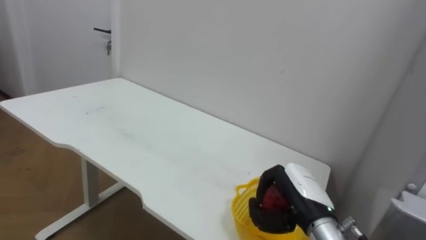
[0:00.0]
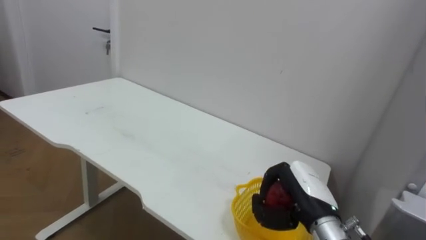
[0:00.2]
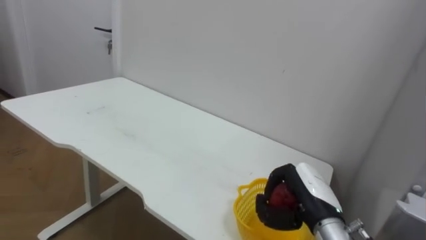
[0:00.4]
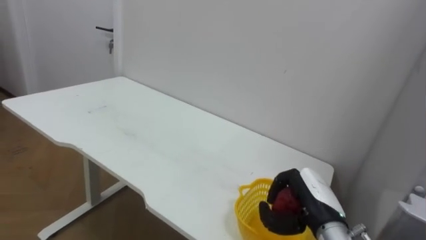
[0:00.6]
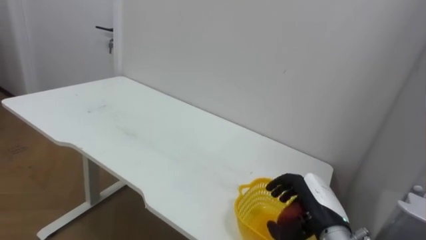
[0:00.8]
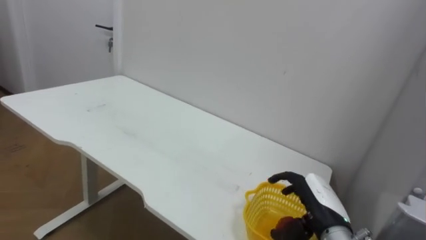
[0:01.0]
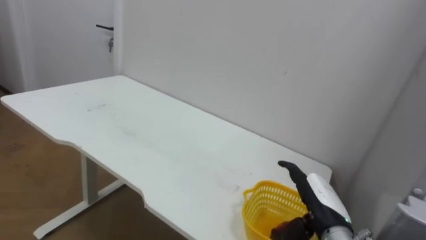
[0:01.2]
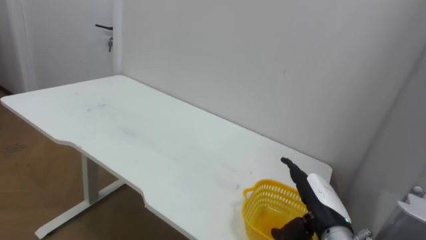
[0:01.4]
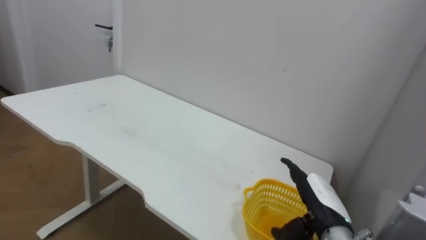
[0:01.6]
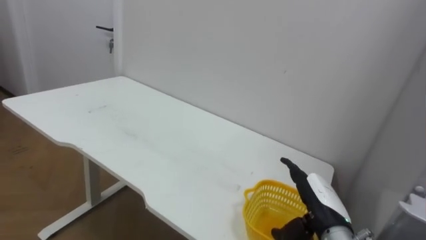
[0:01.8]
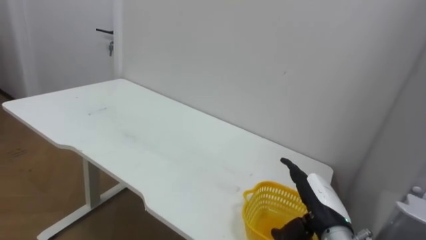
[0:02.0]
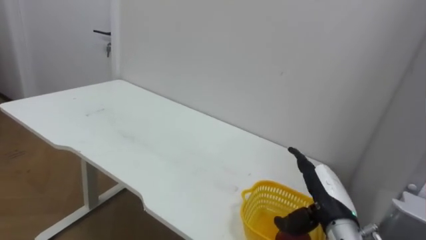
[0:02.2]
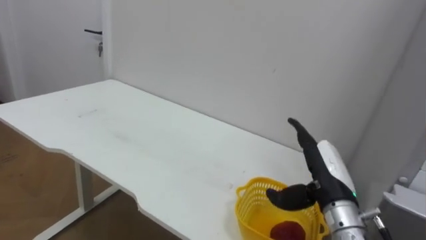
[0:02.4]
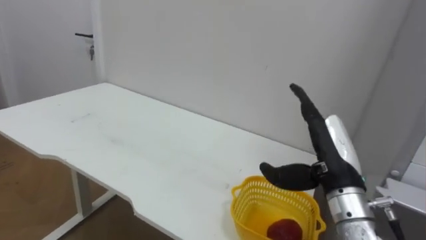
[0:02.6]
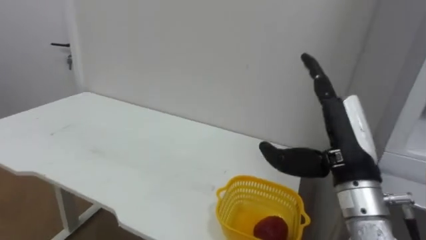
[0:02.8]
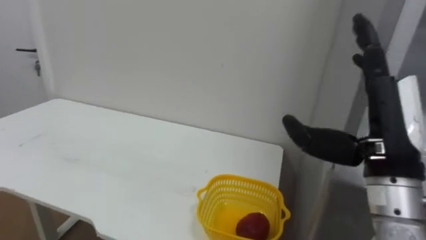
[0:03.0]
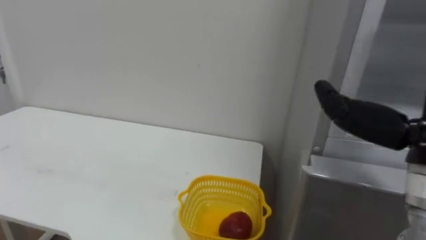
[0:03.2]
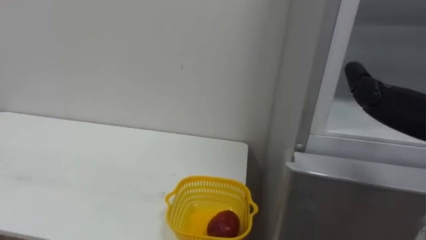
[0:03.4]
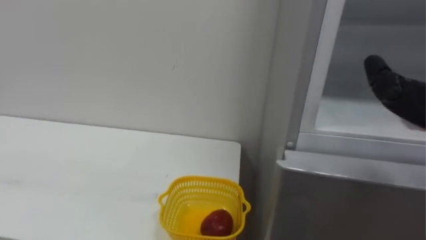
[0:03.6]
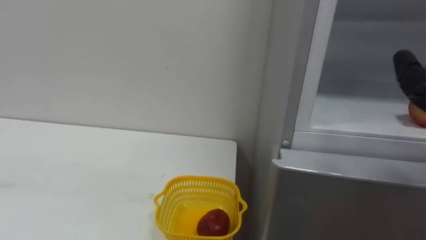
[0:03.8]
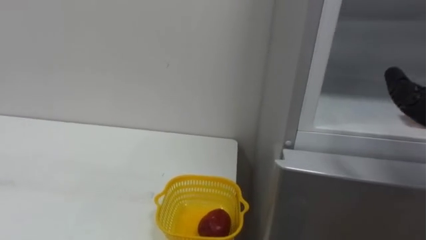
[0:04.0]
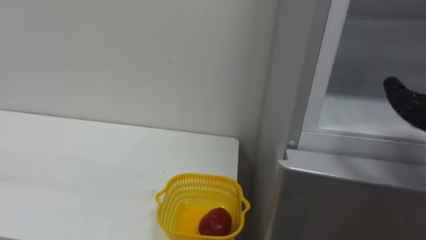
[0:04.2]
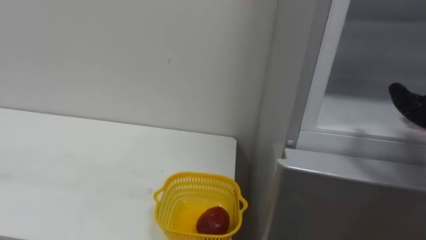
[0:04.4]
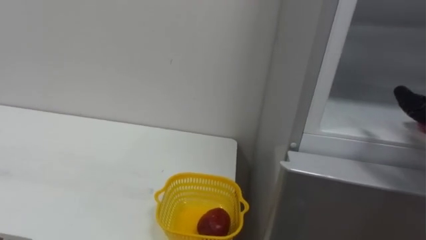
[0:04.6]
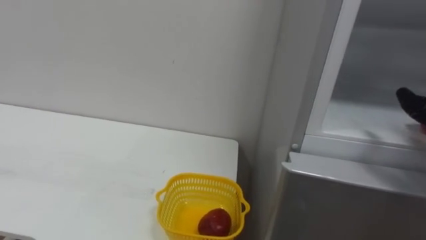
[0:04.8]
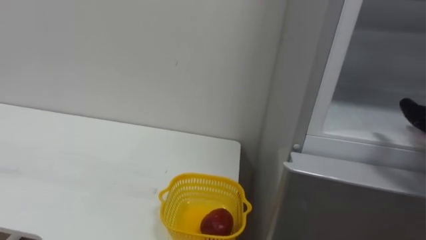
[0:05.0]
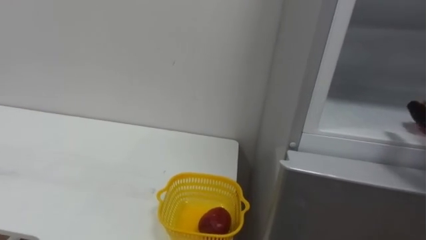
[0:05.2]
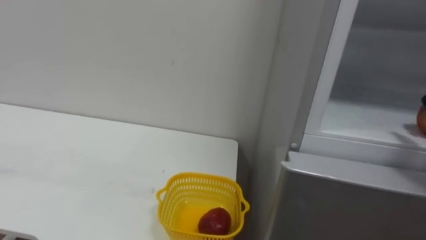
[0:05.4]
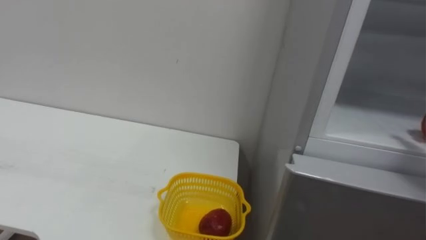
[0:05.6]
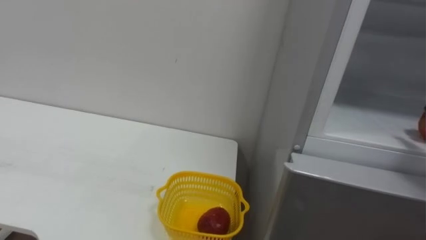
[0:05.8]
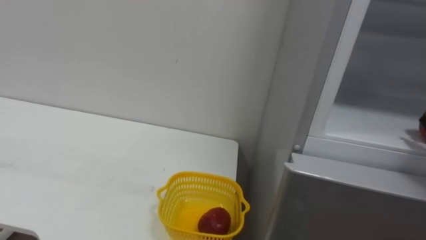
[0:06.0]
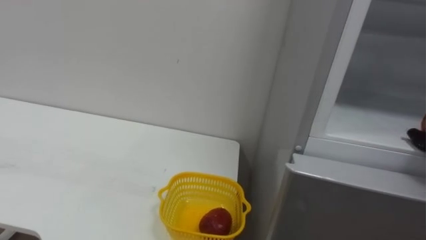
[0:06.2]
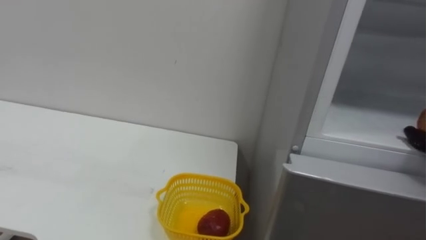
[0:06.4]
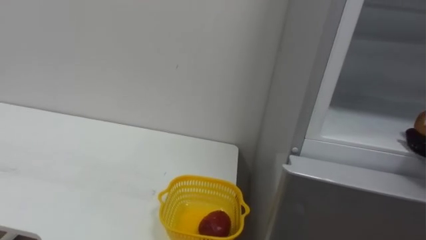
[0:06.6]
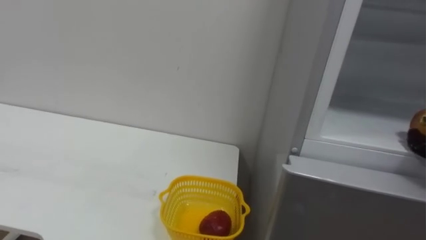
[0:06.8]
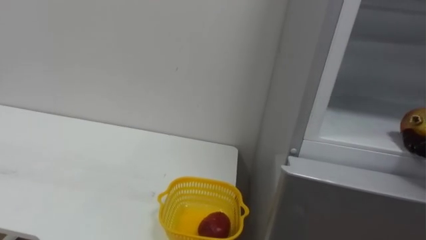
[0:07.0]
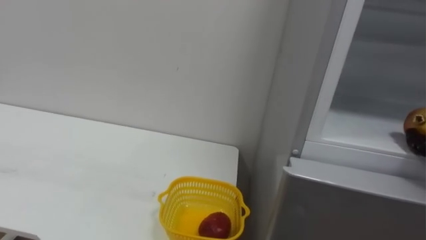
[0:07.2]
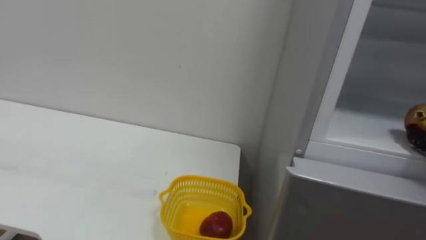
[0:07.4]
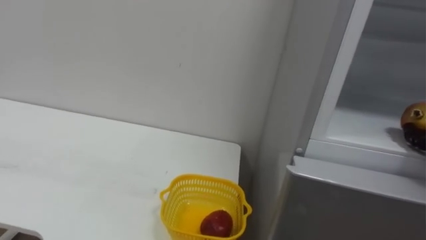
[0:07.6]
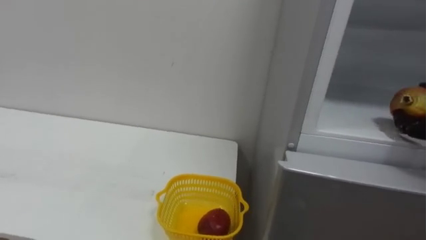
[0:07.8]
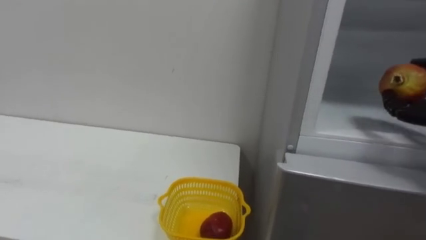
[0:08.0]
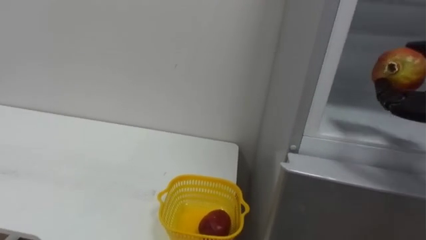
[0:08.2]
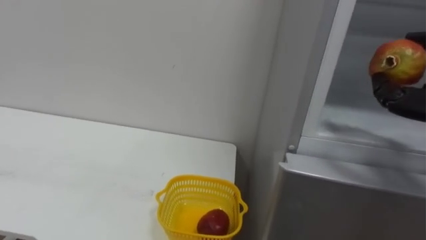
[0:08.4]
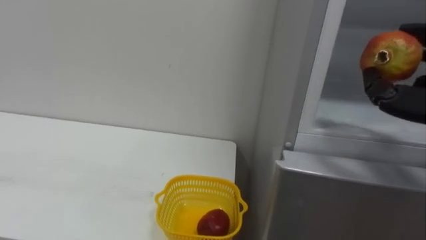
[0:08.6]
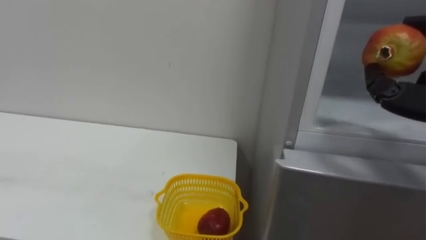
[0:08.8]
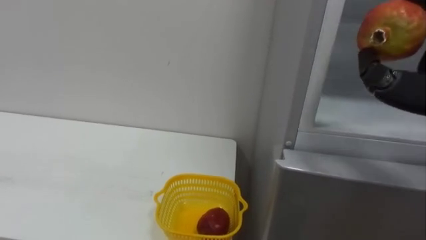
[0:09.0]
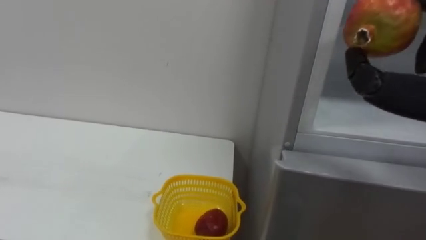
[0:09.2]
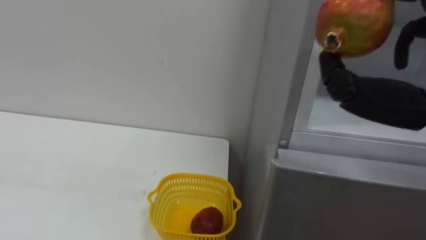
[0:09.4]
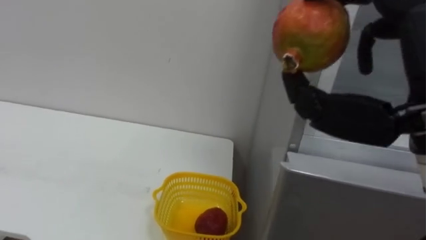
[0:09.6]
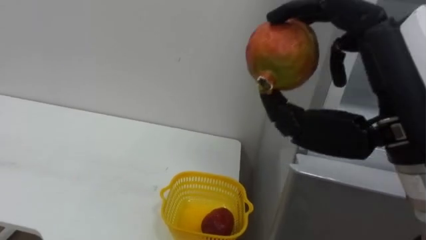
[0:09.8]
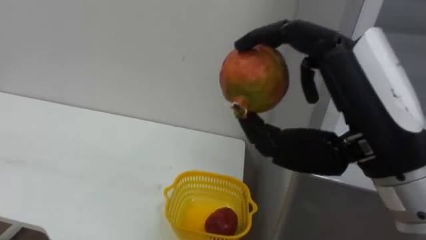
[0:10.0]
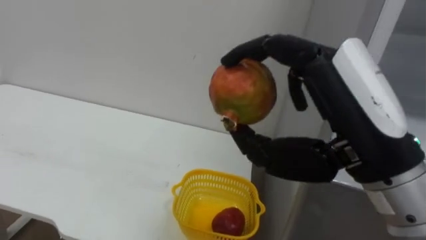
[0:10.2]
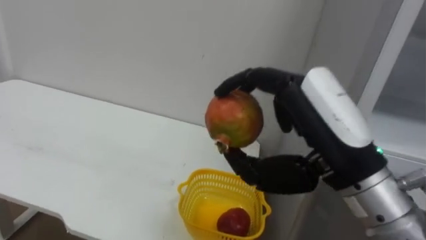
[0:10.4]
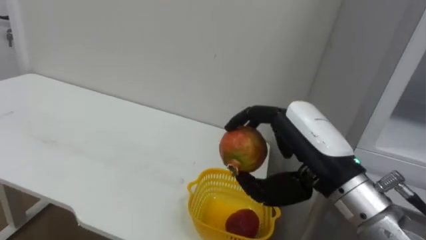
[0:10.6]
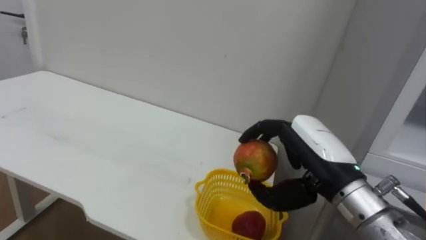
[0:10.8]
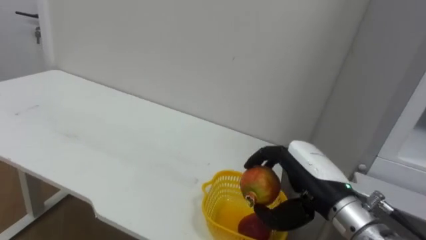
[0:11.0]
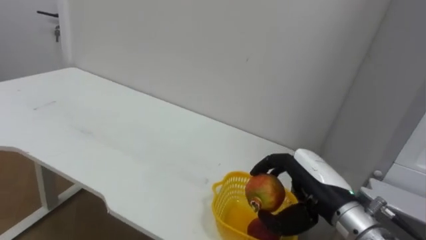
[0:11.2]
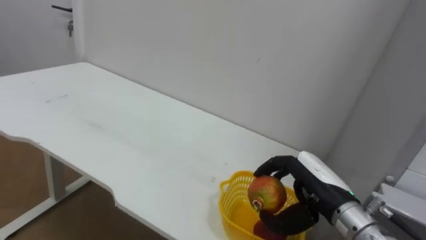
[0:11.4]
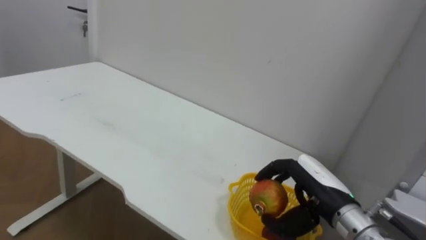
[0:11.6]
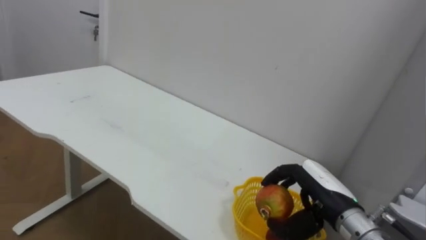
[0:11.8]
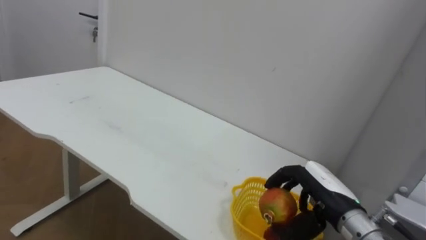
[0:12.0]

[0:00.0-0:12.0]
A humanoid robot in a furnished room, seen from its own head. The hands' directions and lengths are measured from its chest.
Task of the whole recording: Open the refrigerator door, take out the apple and the pomegranate, place them in the fruit basket on the left, and close the refrigerator door.
0:00.0 to 0:01.6: The right hand opens up.
0:01.6 to 0:03.0: The right hand heads upward, covering some 20 cm.
0:10.4 to 0:12.0: The right hand goes about 20 cm downward and forward.

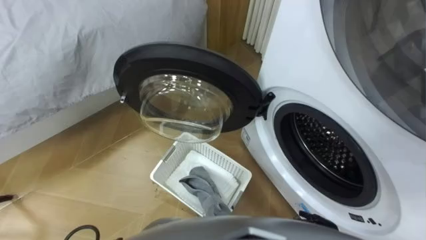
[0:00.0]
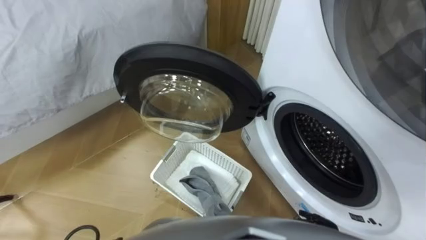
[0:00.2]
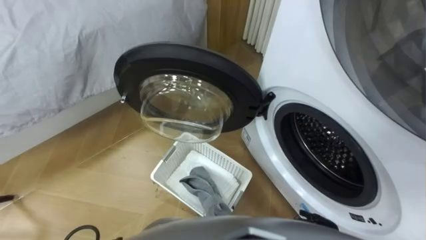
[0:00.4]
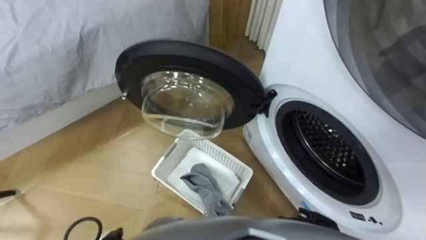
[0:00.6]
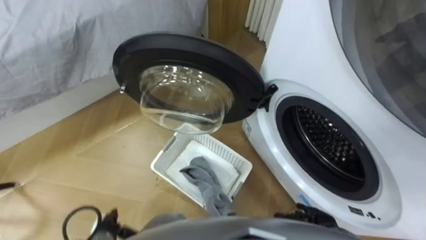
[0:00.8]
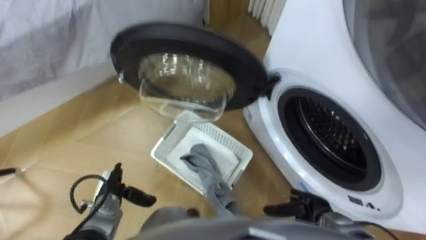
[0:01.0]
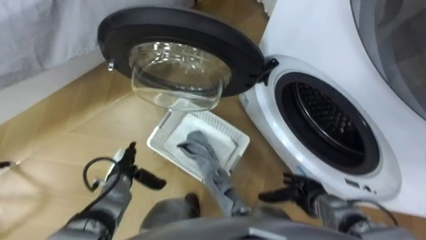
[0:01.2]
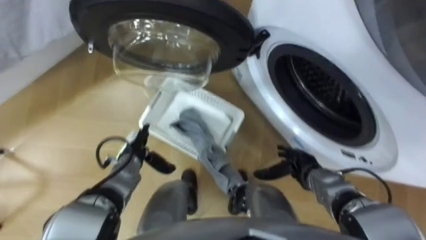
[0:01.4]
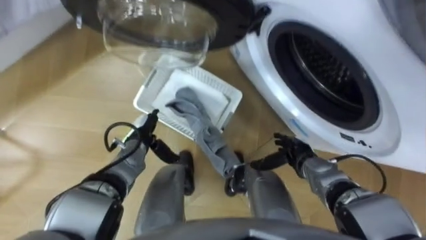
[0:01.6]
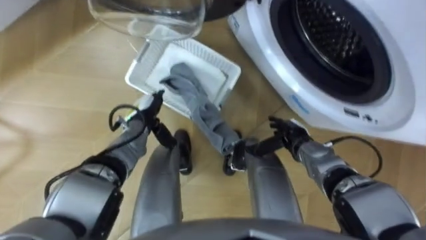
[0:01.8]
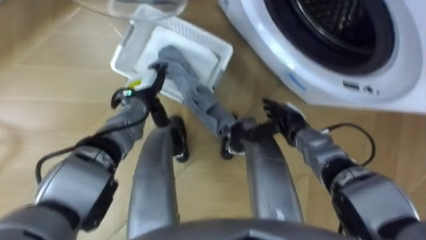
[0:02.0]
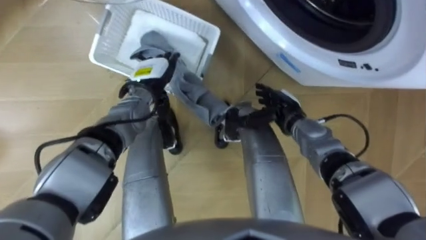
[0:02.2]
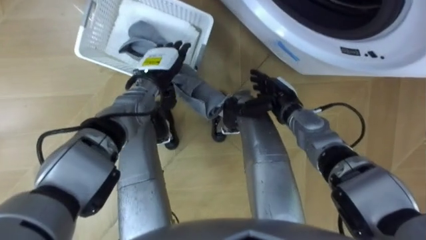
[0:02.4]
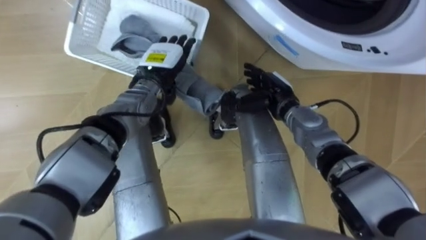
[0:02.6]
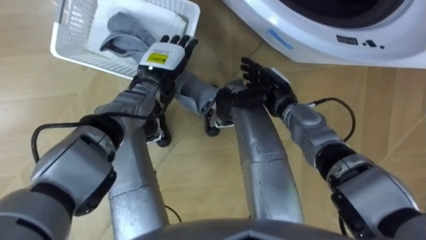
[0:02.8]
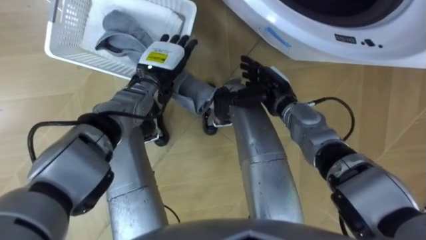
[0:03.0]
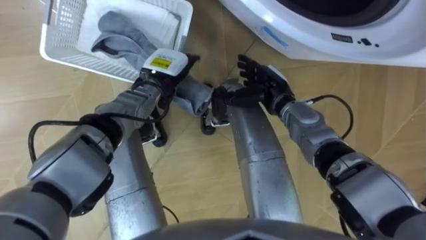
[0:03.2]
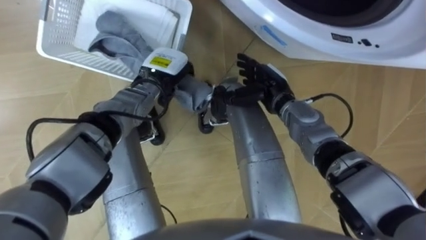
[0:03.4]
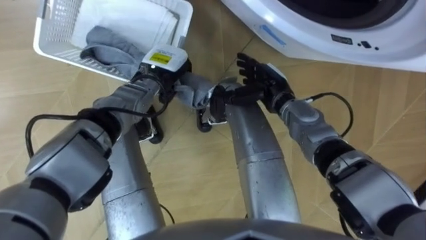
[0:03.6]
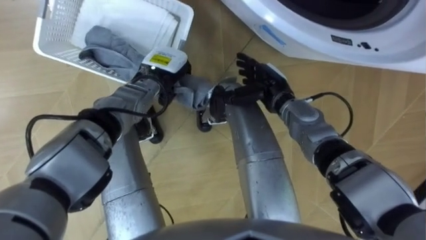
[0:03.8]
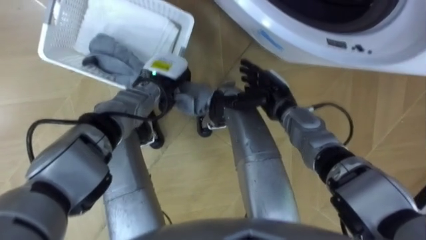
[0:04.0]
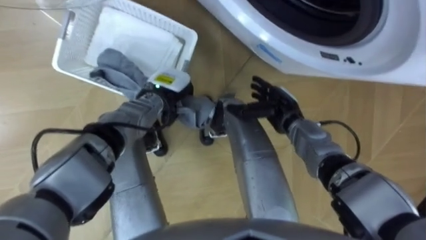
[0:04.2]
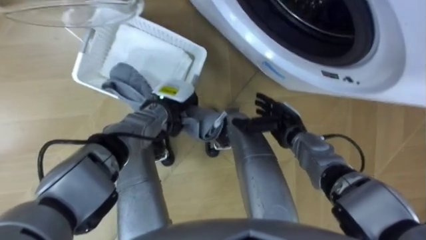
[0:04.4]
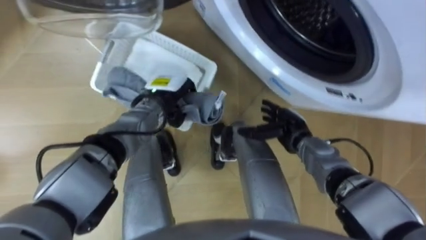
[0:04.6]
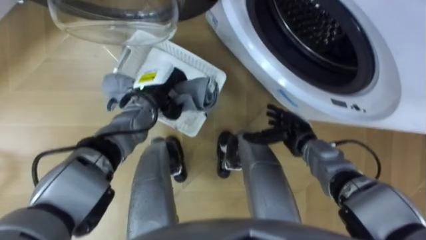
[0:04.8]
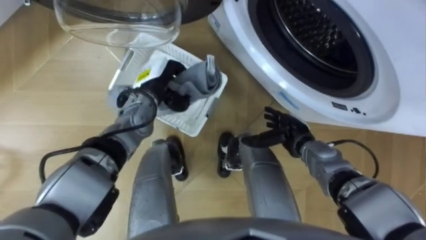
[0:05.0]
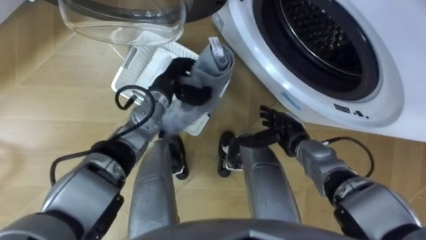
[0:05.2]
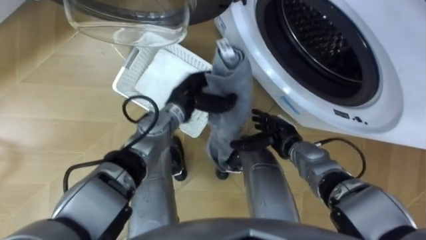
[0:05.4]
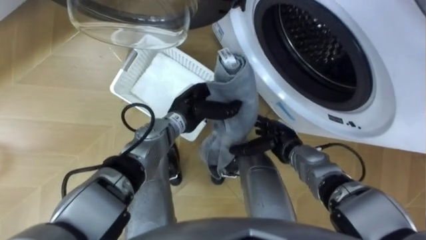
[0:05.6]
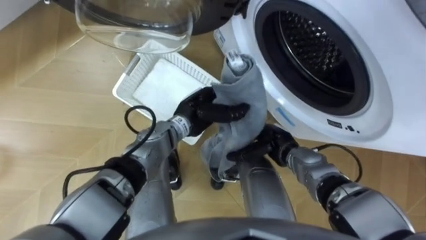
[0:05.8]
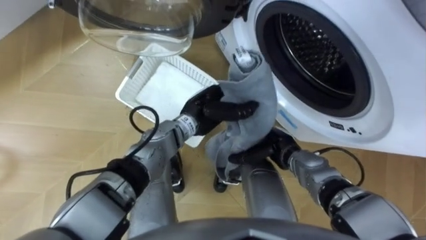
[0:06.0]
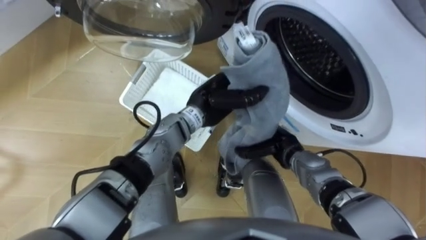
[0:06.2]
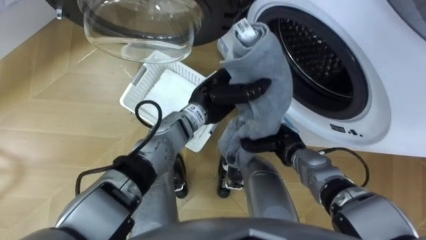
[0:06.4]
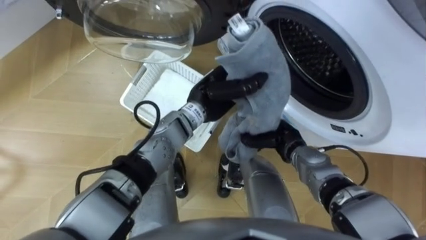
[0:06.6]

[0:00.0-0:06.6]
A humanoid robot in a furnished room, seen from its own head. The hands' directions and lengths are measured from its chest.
Task of the whole recording: Take the towel from the basket and put it into the washing machine.
0:01.6 to 0:03.2: The left hand is displaced upward, forward and to the right by some 15 cm, while the right hand heads forward, upward and to the left, covering about 20 cm.
0:03.2 to 0:05.0: The left hand closes its fingers. The right hand goes some 10 cm downward, backward and to the right.
0:05.0 to 0:06.6: The right hand closes, while the left hand shifts some 15 cm to the right.
